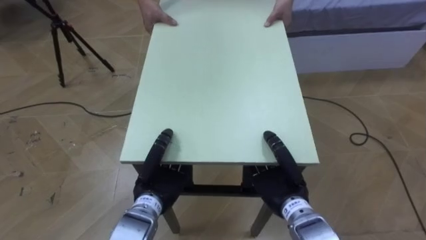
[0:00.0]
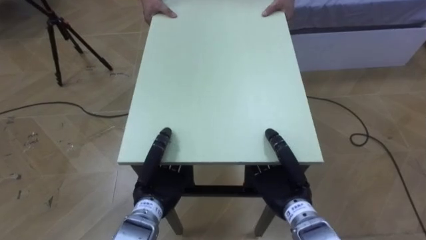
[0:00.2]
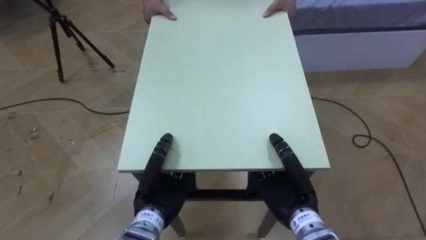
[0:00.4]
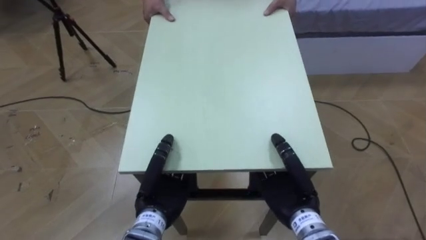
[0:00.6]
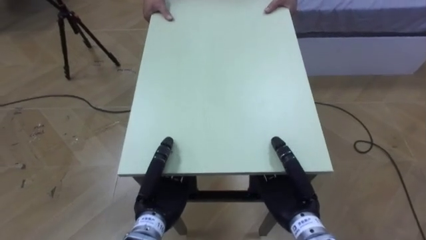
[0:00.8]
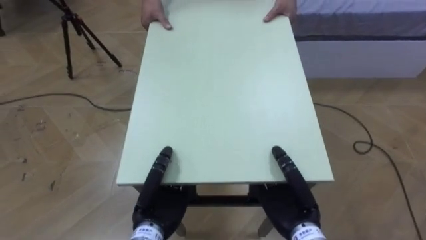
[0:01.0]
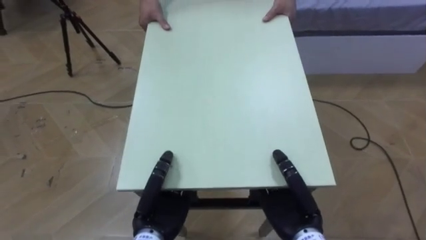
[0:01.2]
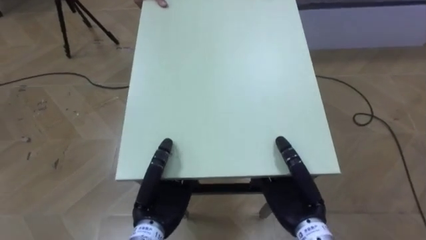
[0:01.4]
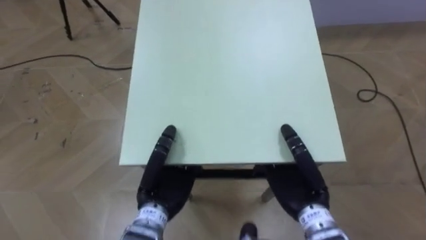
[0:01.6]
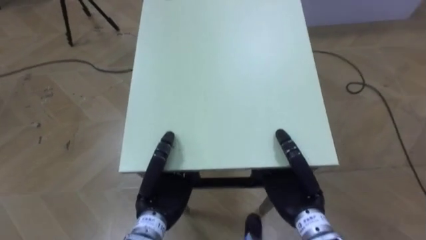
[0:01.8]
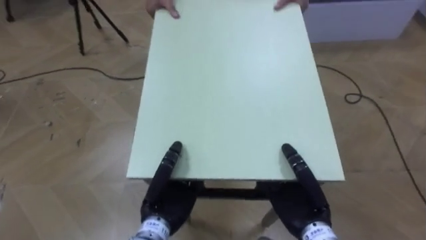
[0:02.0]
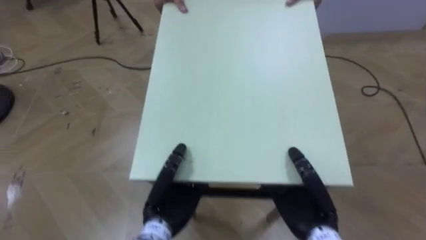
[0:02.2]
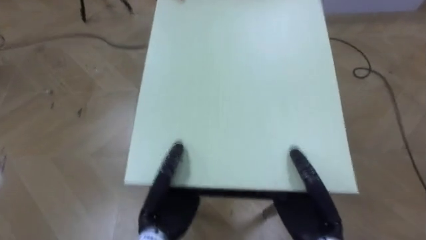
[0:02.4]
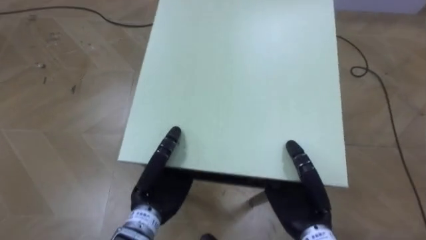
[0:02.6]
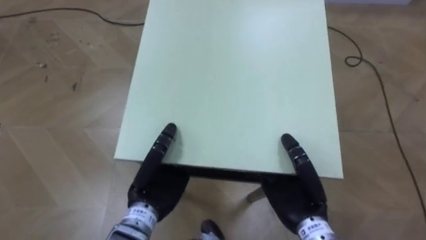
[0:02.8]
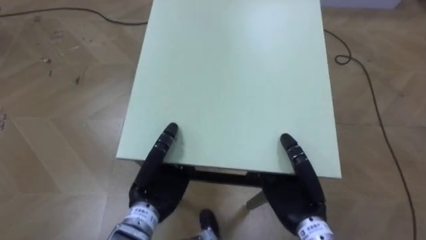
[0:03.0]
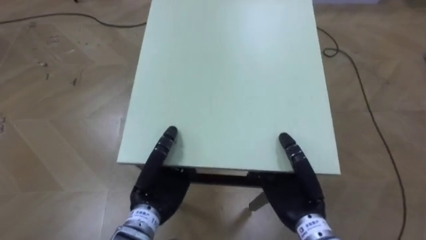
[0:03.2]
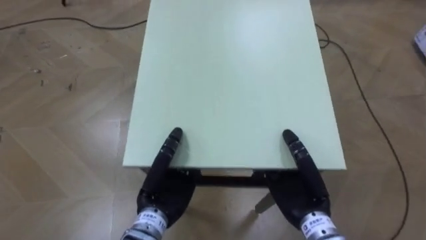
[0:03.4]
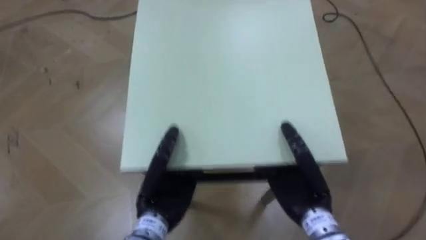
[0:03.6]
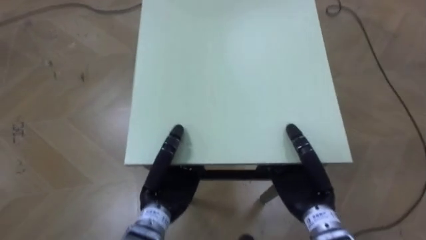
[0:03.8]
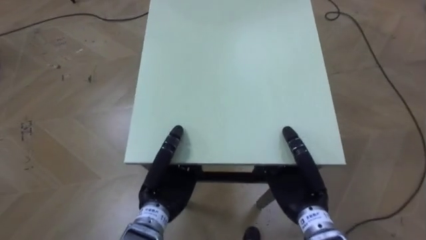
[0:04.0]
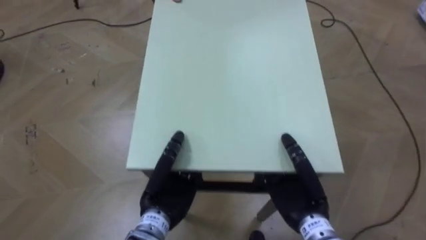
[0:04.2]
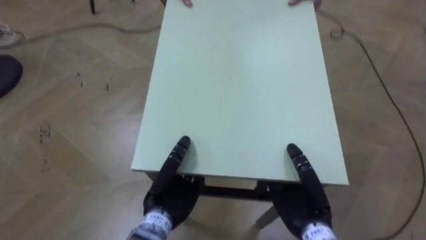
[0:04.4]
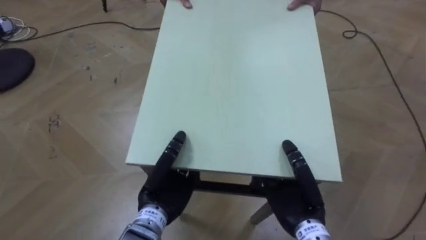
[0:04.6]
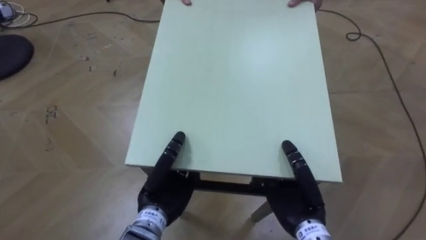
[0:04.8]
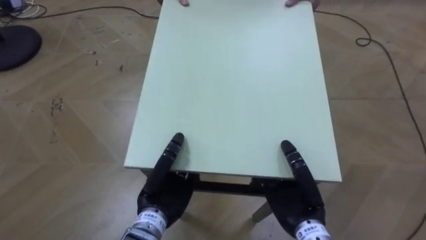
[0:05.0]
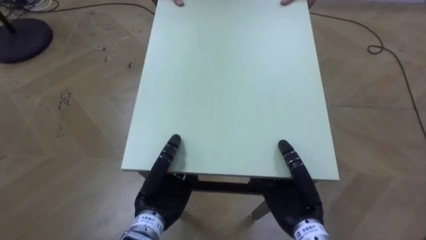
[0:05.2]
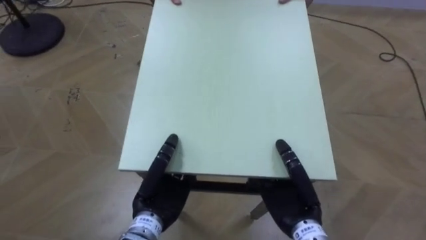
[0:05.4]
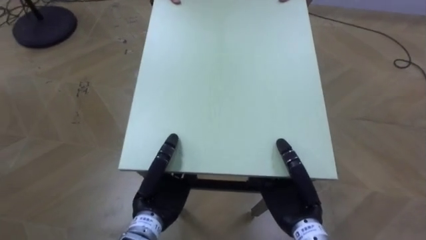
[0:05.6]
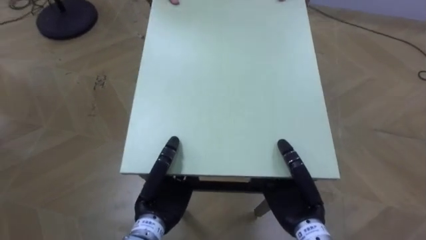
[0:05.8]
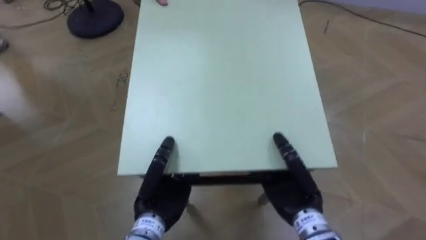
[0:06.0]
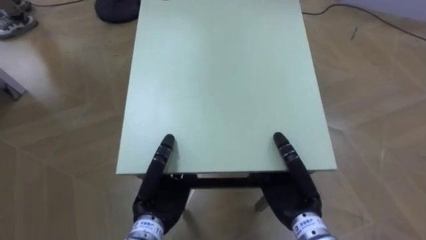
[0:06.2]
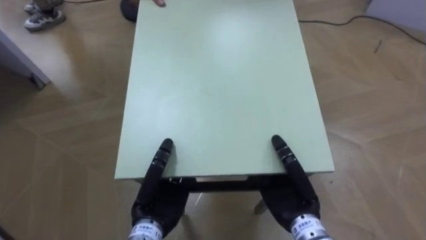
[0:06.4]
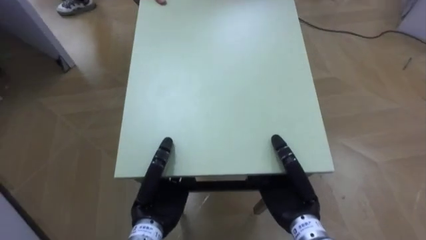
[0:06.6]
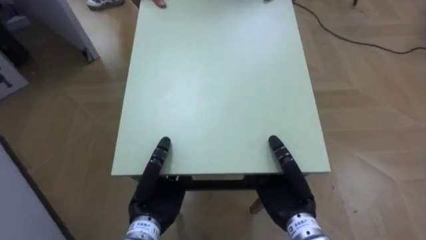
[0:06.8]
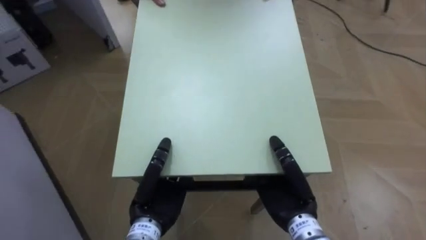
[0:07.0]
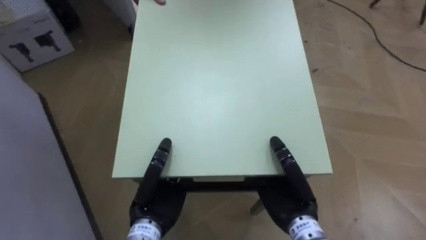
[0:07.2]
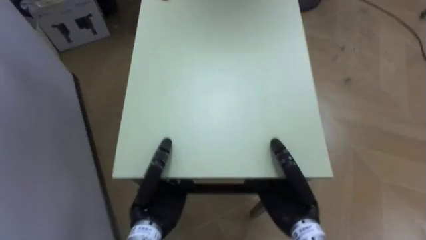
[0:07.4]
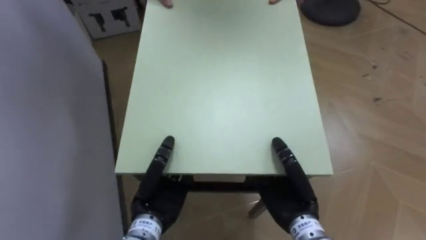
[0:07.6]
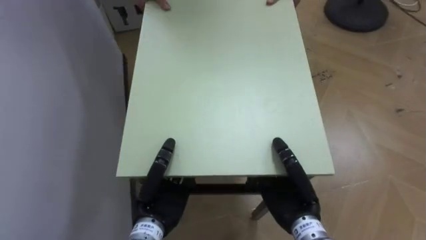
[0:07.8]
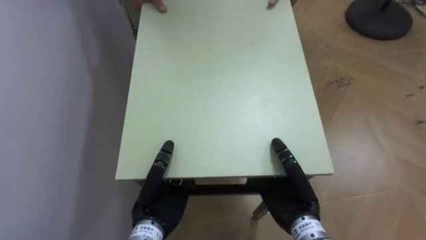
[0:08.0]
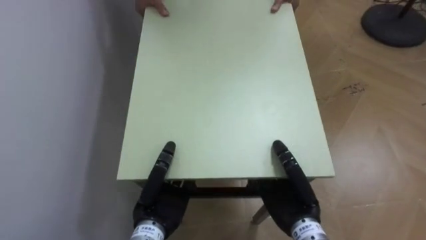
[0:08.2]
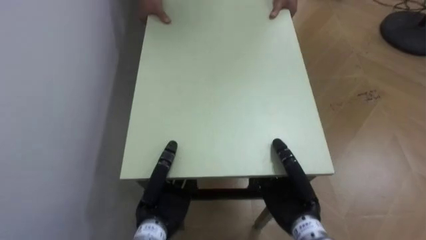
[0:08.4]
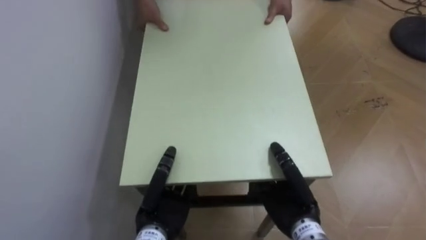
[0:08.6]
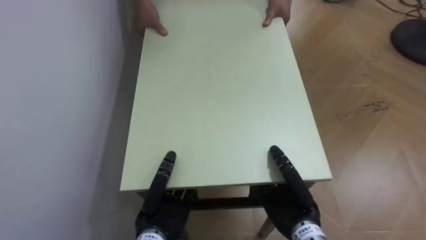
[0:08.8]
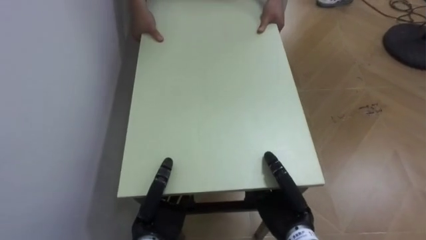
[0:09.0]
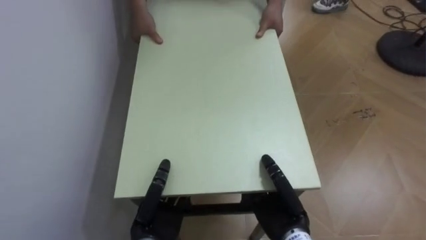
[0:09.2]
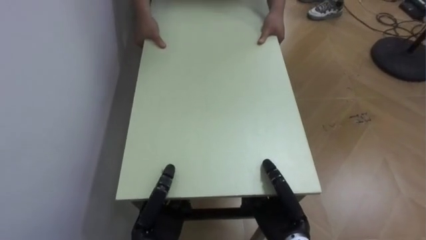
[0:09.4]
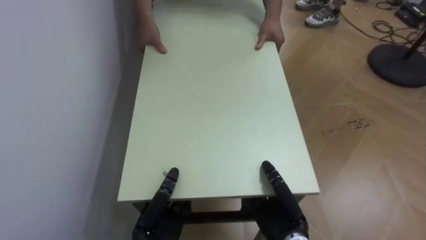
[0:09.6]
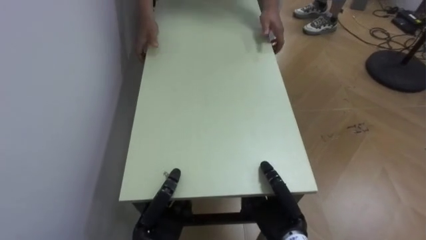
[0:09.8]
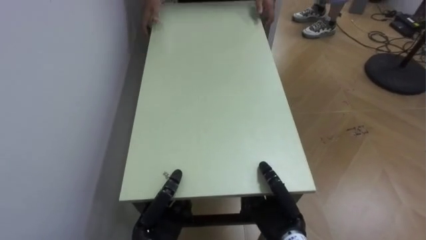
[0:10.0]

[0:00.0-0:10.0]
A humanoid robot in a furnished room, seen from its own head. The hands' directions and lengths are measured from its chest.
Task of the whole recording: Move the table to the back left with someone.
0:05.8 to 0:07.2: The robot's body swings roughly 40 degrees to its left.
0:07.2 to 0:08.6: The robot's body swings some 35 degrees to its left.
0:08.6 to 0:10.0: The two hands go about 5 cm downward.

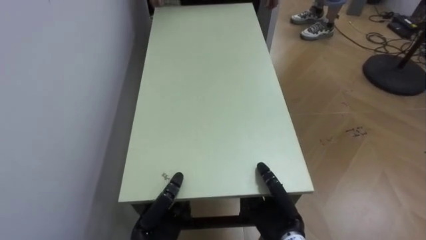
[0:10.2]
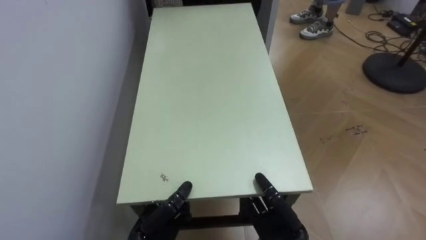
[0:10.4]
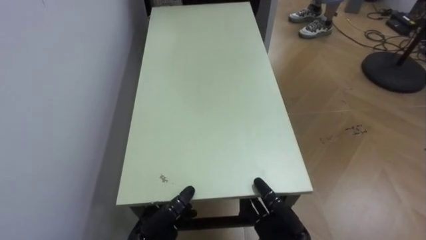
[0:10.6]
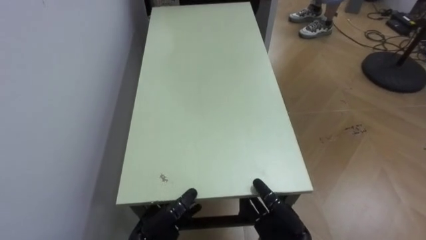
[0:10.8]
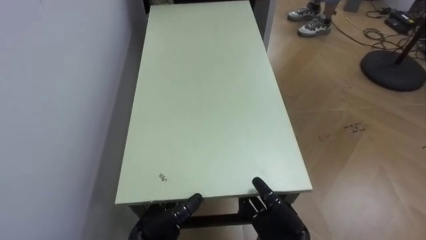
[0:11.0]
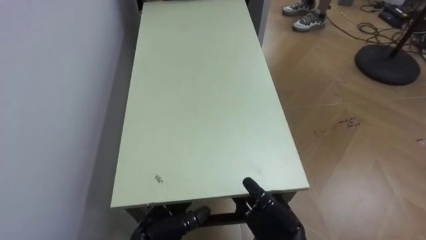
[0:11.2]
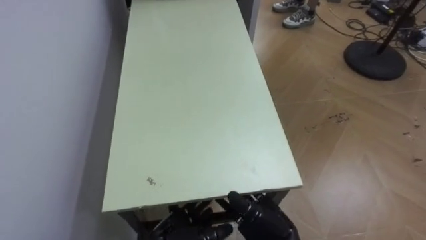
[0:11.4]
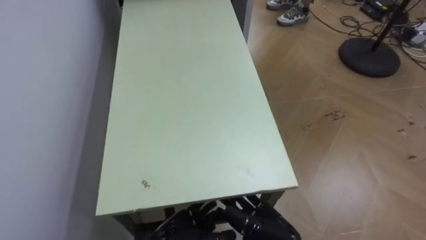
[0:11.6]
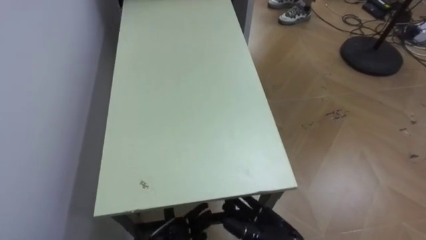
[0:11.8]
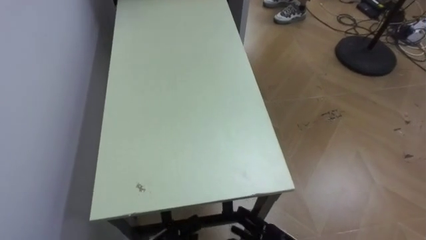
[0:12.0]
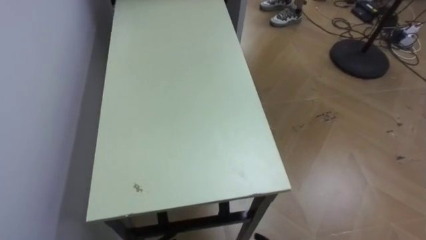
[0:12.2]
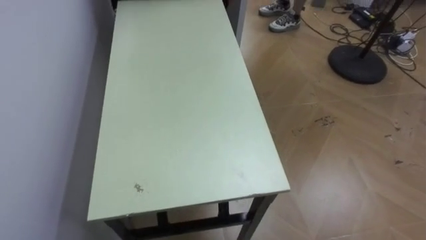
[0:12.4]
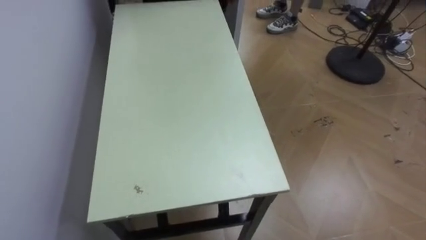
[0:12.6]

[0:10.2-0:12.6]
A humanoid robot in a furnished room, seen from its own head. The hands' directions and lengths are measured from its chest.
Task of the whole recording: Move the table to the back left with someone.
0:10.2 to 0:11.4: The left hand opens its fingers, while the right hand opens.
